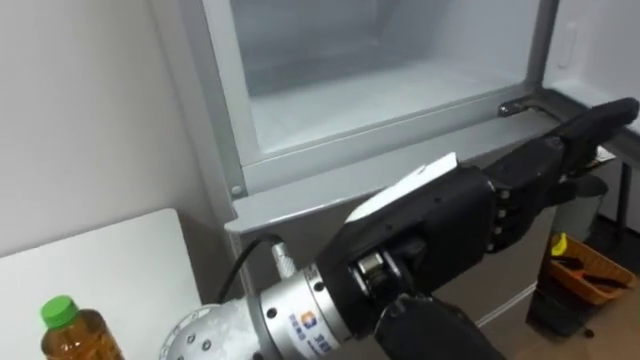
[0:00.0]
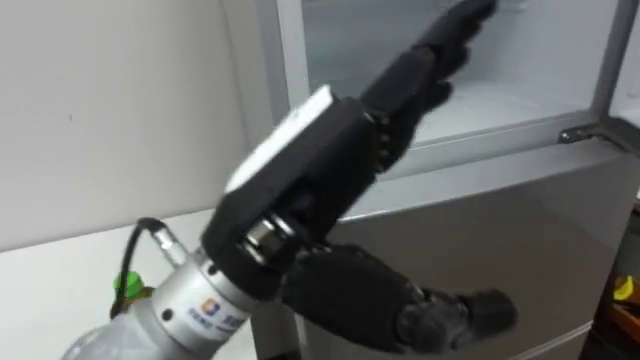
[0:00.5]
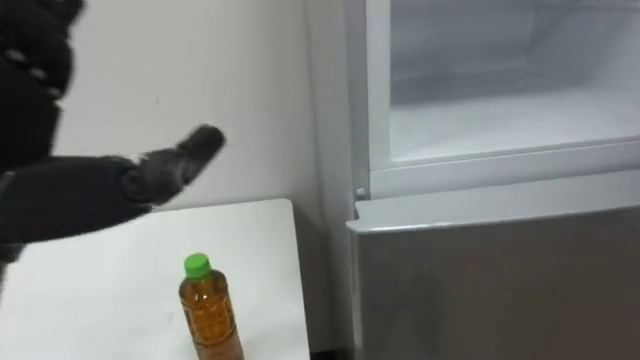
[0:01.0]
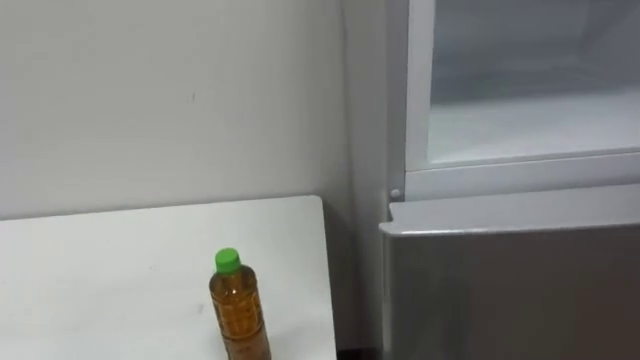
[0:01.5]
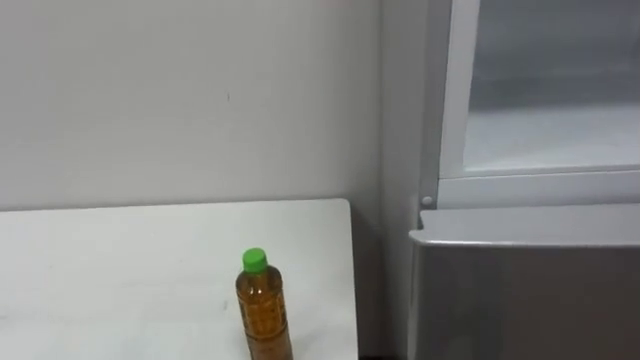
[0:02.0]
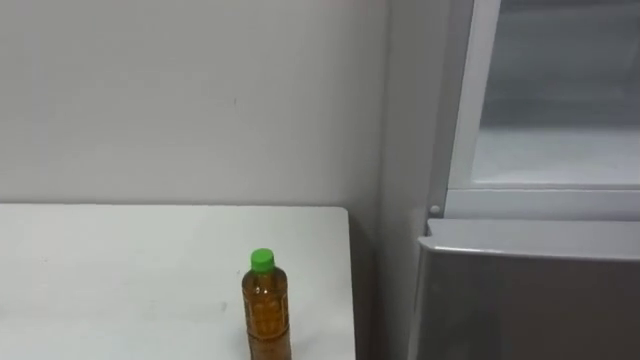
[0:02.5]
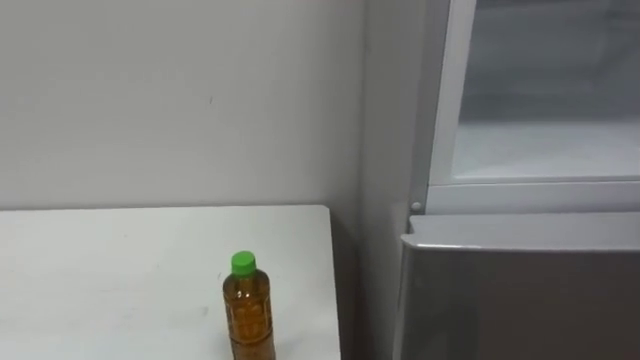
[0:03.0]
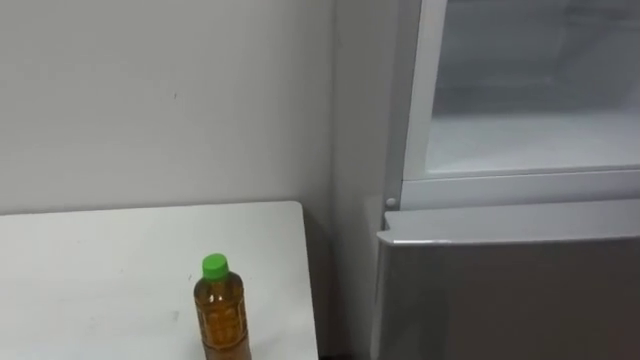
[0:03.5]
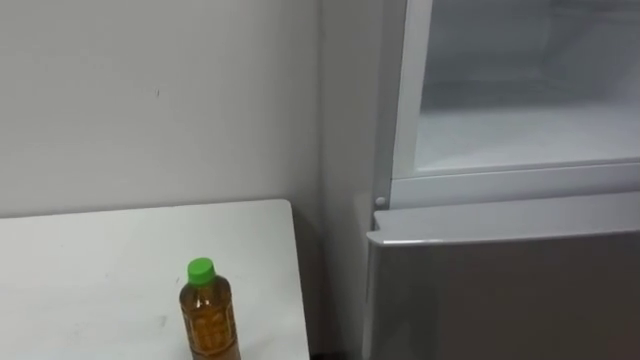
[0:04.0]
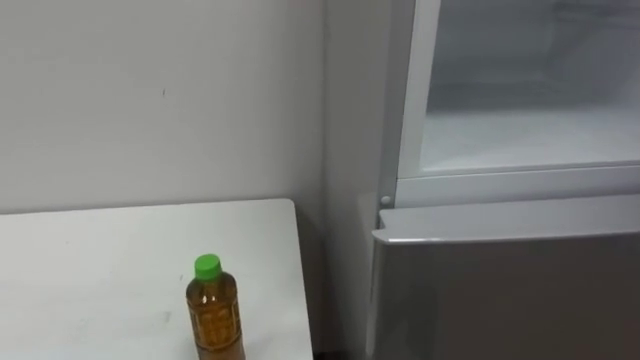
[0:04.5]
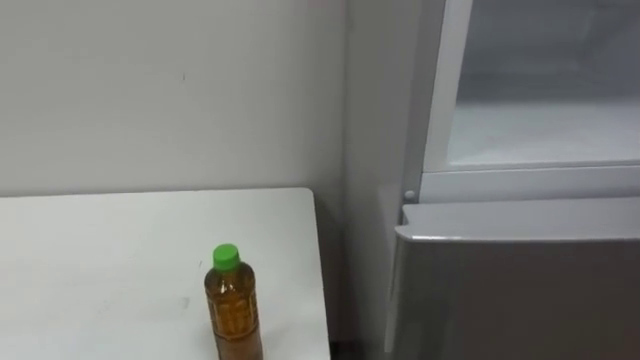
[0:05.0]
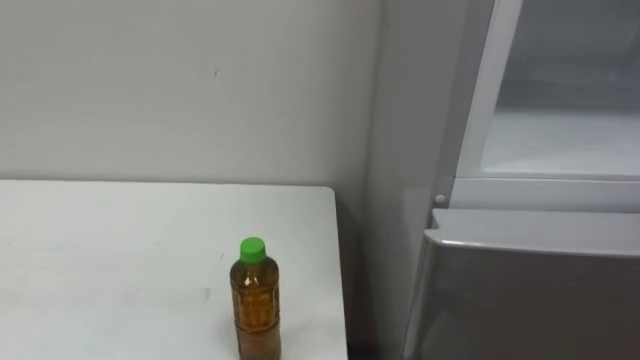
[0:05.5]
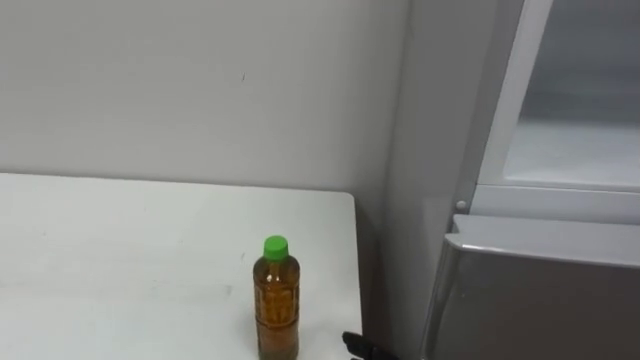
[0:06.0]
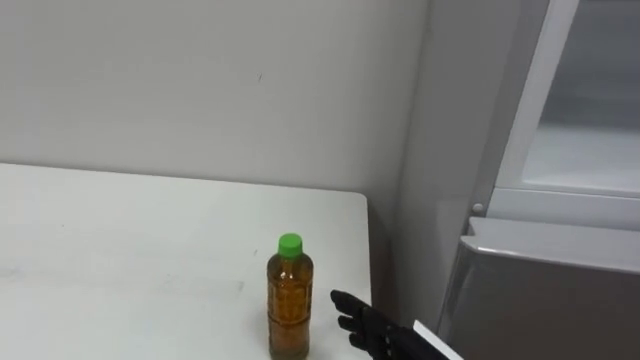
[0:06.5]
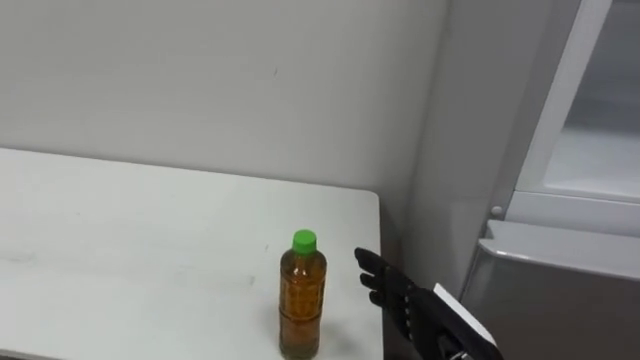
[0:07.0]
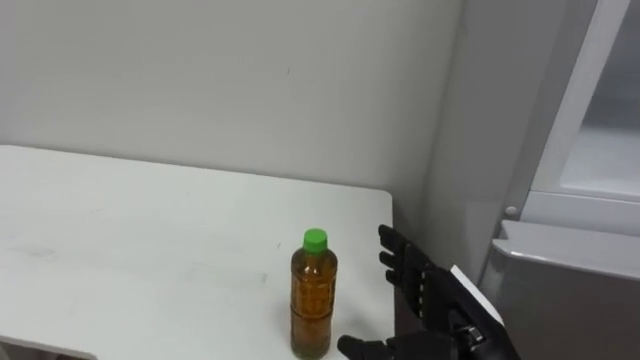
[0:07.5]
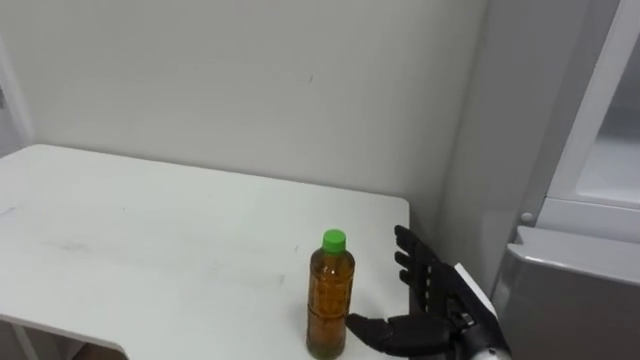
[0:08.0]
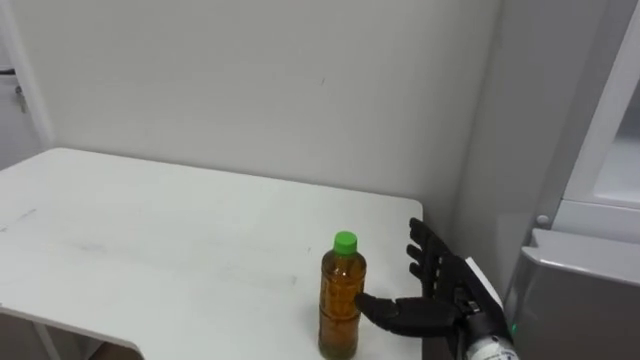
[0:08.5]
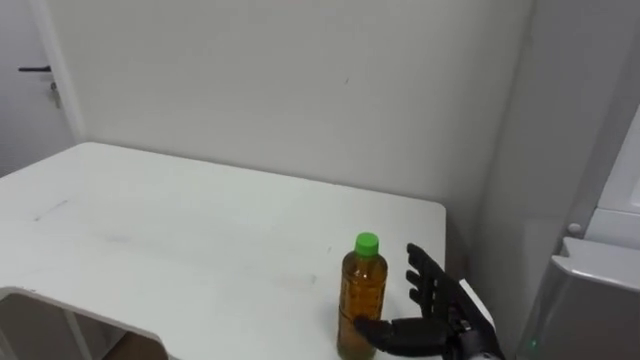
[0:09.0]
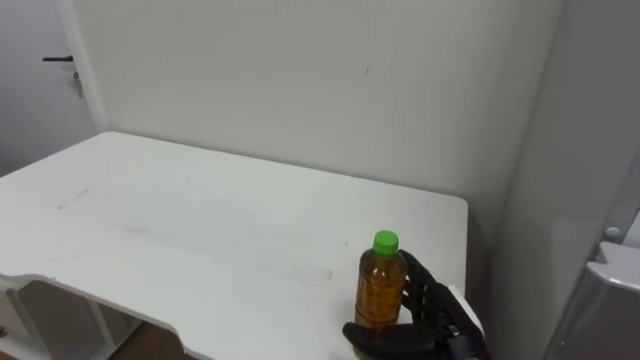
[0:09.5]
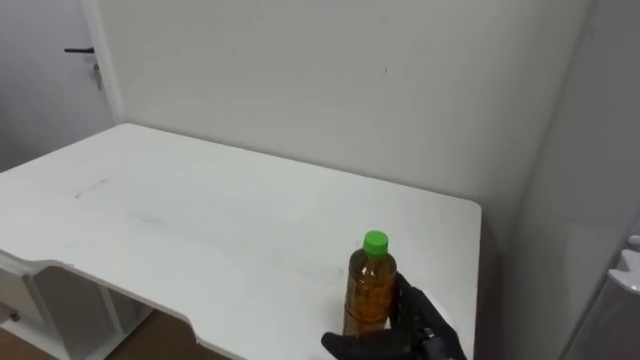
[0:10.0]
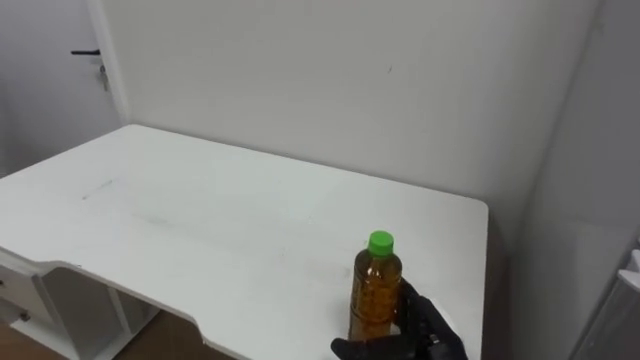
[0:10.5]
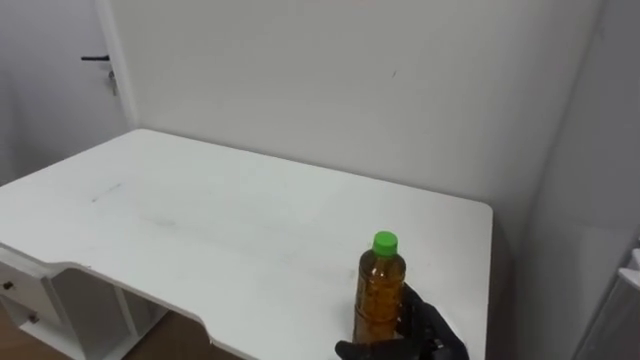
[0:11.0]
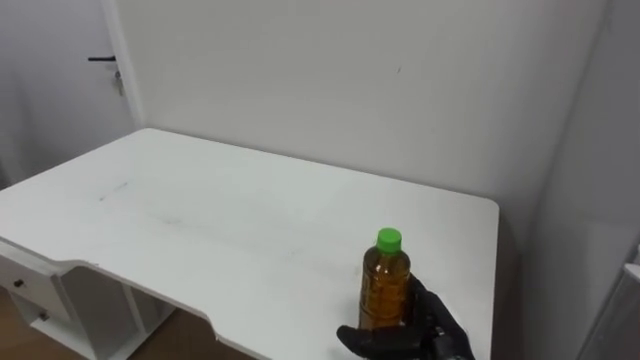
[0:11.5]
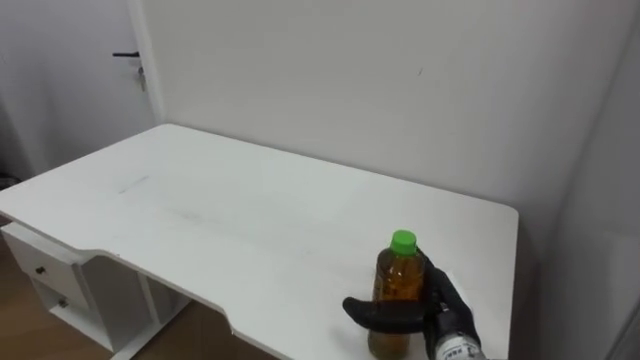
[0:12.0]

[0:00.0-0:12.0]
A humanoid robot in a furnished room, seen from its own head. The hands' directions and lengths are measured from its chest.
Task of the whole recording: Open the upper refrigerator door, put the drink from the table into the refrigerator, and then close the refrigerator door.
0:08.0 to 0:10.0: The right hand shifts by some 5 cm.

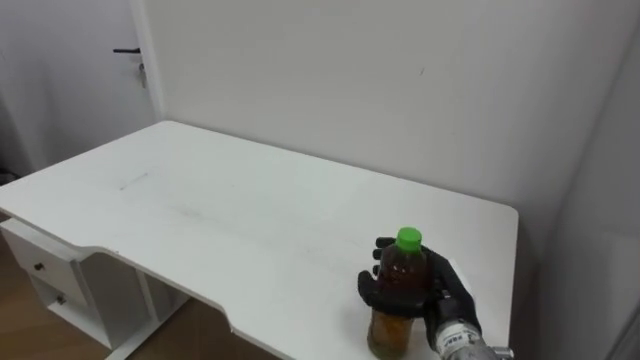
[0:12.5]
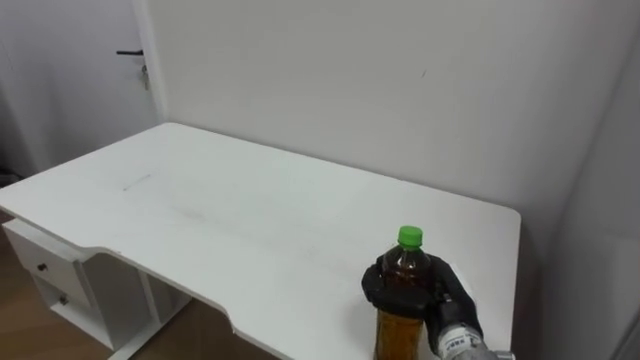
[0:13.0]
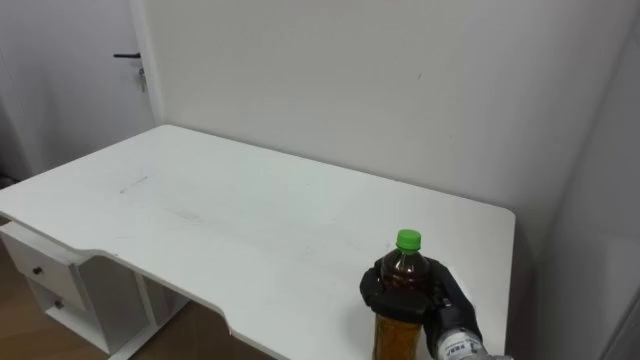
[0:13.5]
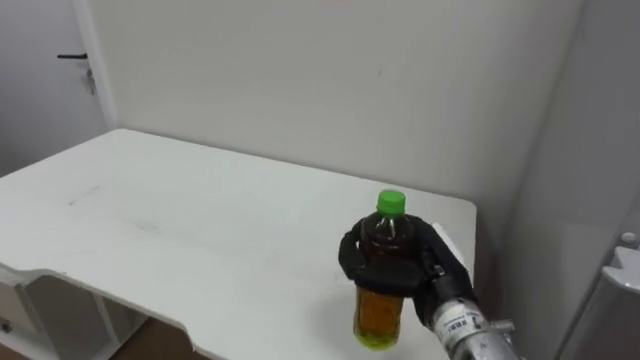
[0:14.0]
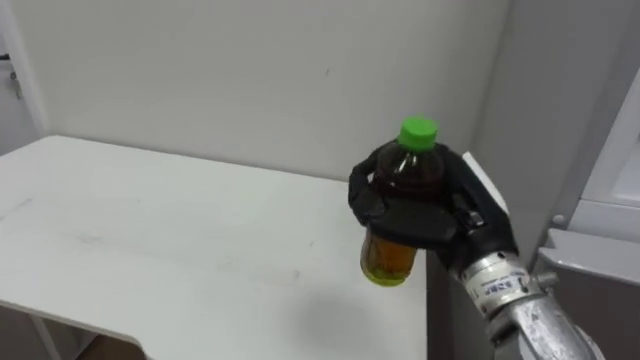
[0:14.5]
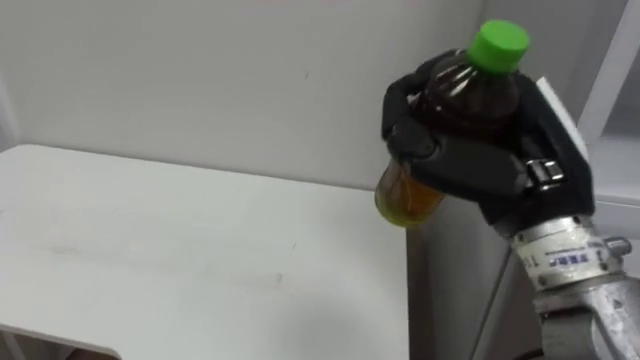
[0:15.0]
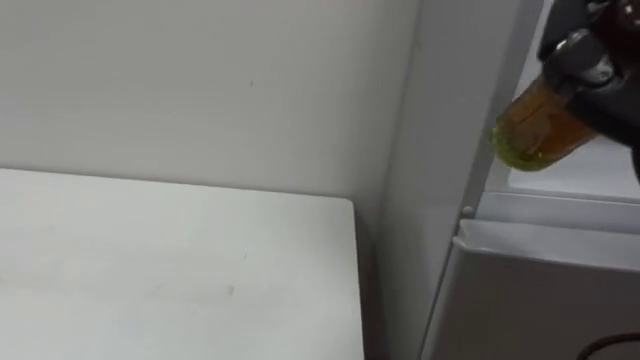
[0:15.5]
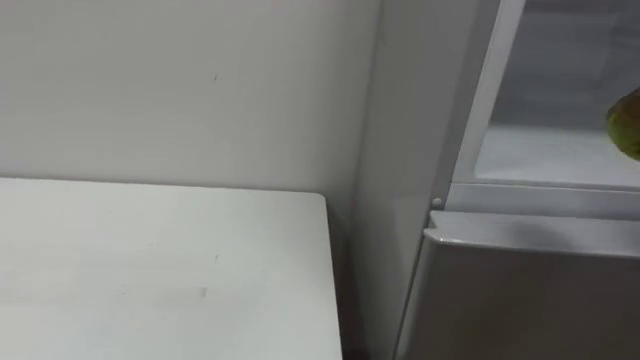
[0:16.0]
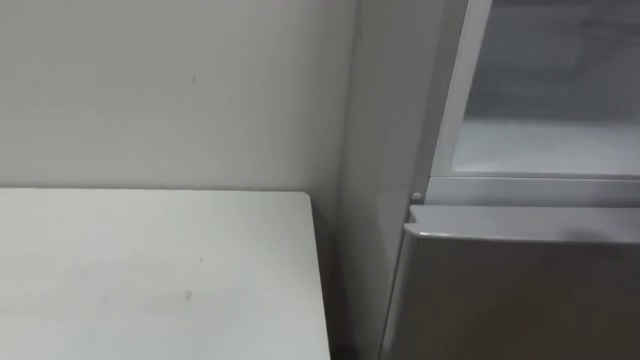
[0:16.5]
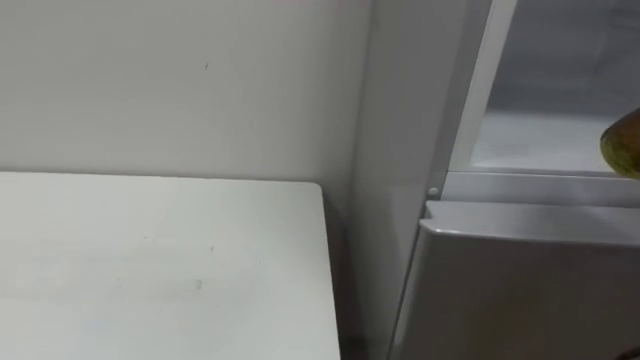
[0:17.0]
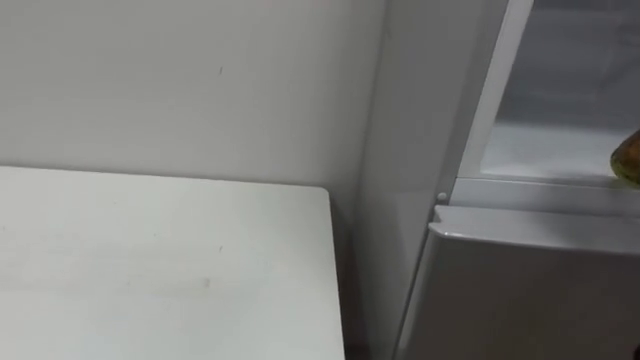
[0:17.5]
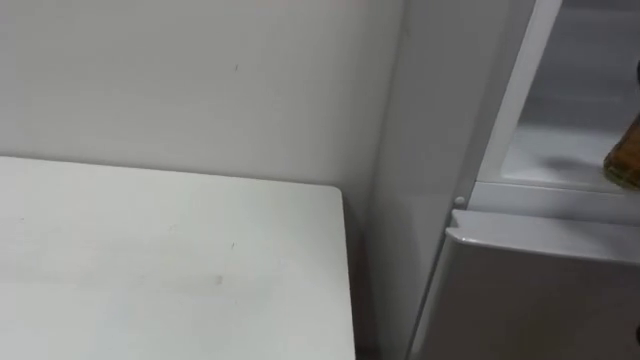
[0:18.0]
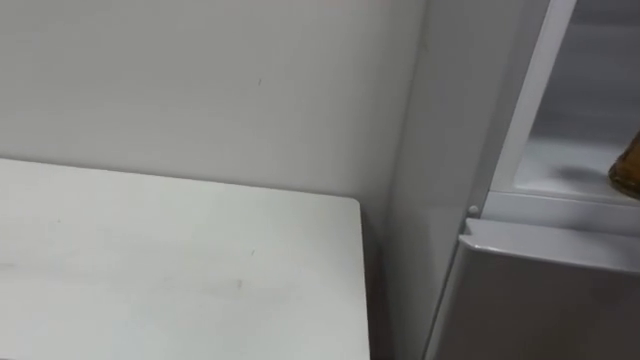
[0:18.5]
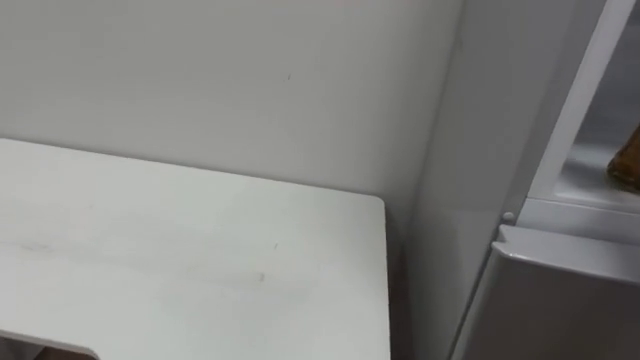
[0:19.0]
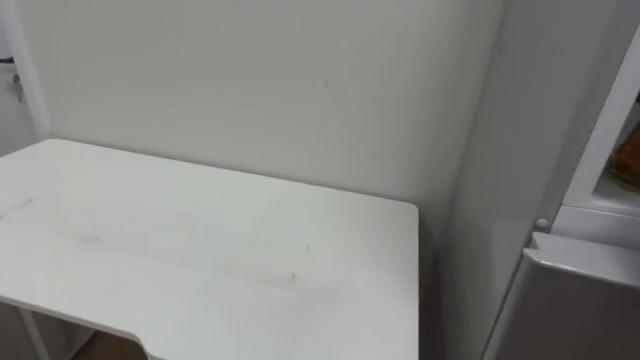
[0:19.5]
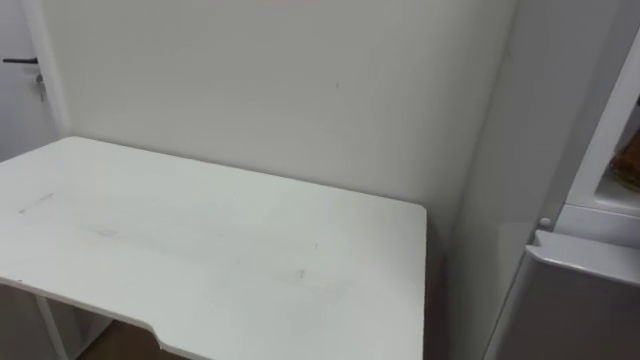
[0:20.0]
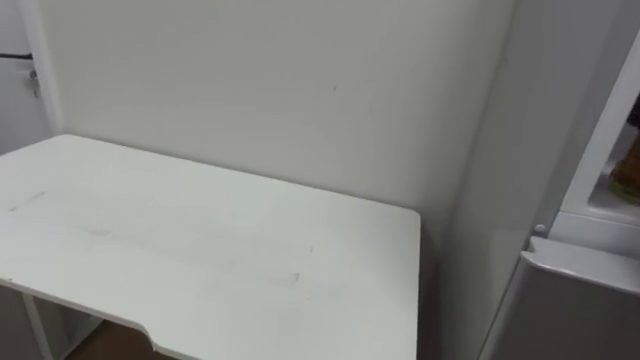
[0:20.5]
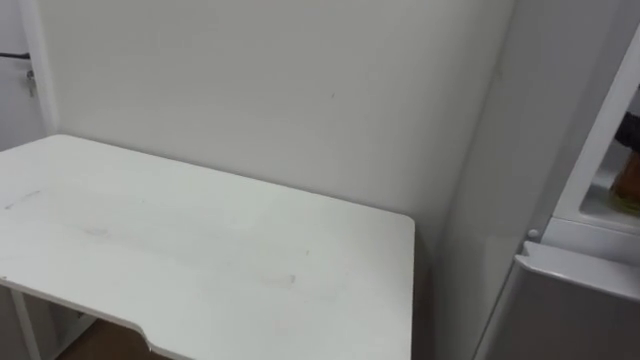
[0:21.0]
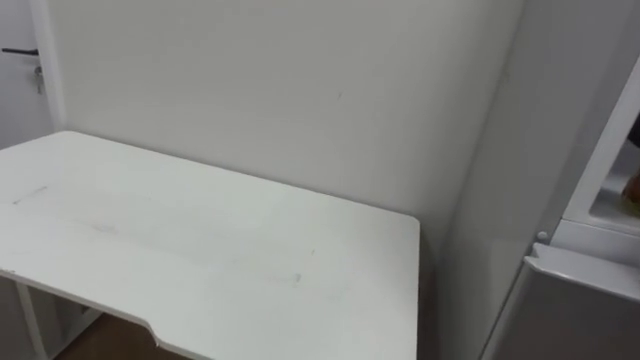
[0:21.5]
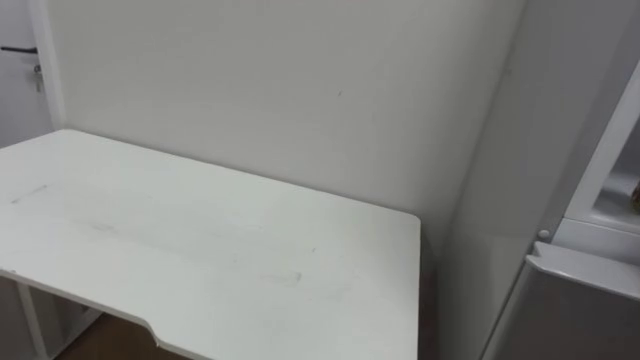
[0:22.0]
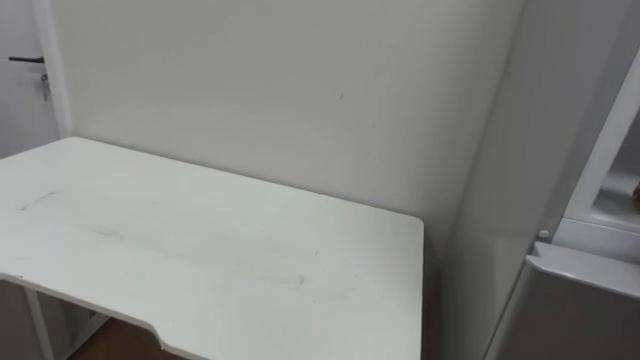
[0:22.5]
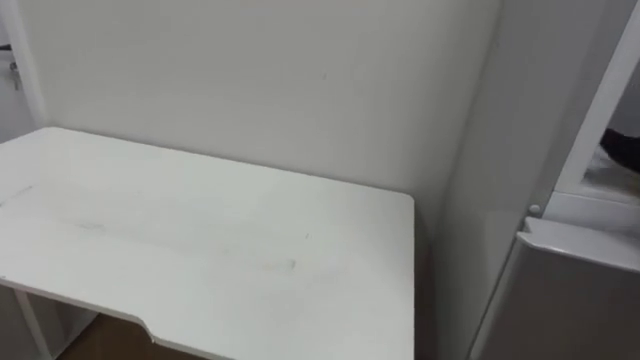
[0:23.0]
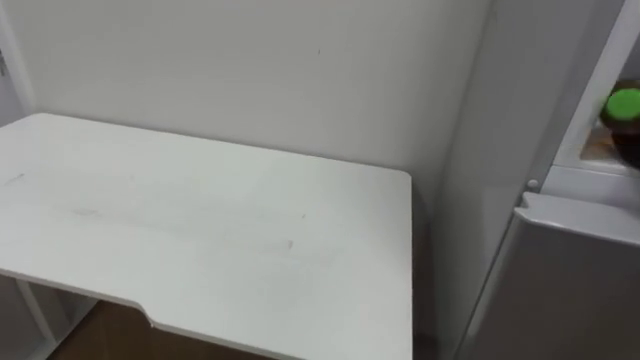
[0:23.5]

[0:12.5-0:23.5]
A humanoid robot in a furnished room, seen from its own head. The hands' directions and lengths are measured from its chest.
Task of the whole recording: Open the upper refrigerator door, put the drink from the table into the refrigerator, and then close the refrigerator door.
0:12.5 to 0:14.5: The right hand shifts about 15 cm upward, and closes its fingers.
